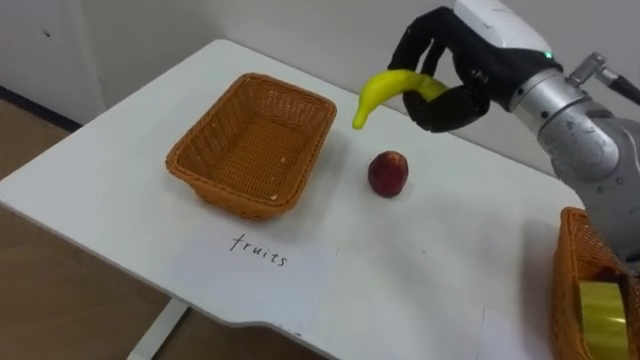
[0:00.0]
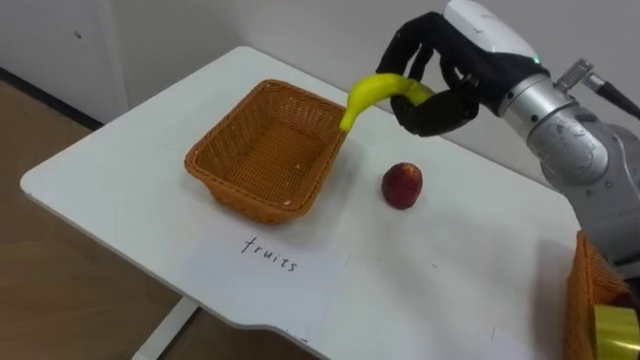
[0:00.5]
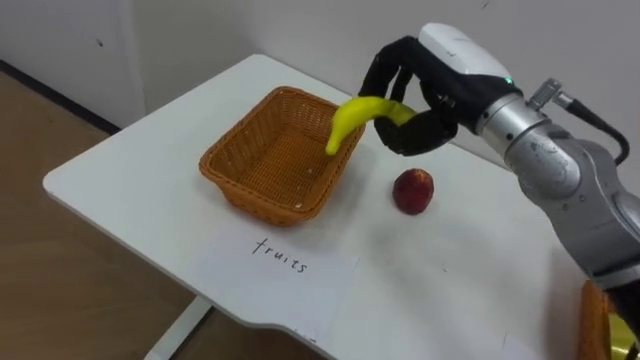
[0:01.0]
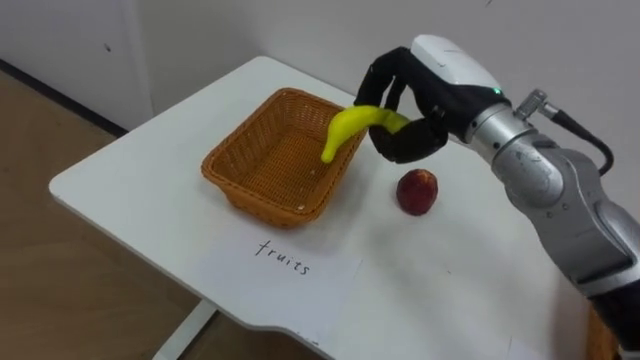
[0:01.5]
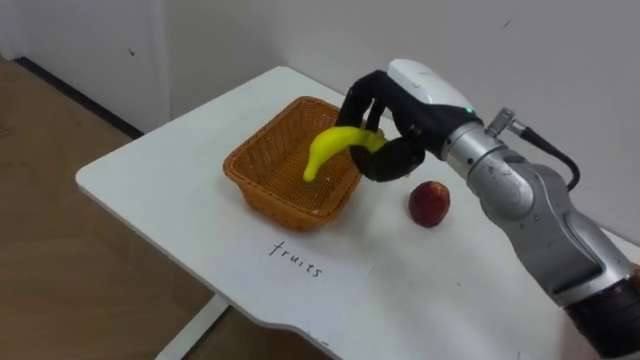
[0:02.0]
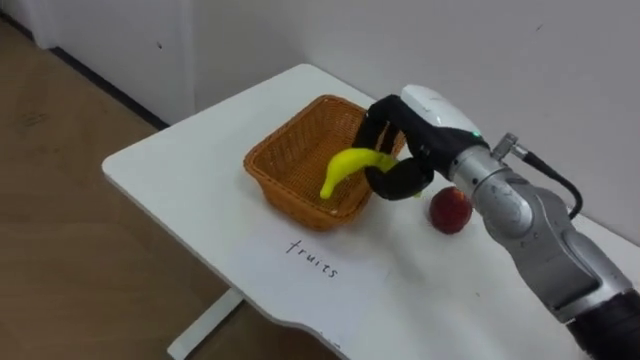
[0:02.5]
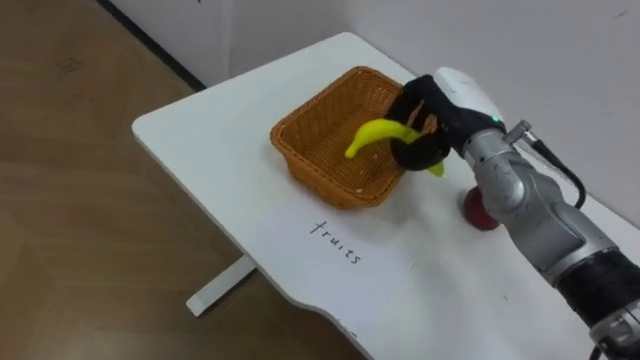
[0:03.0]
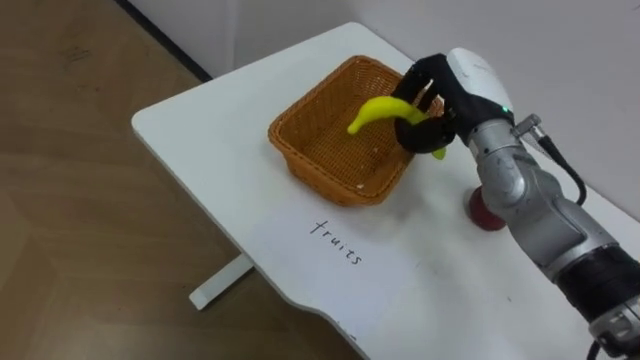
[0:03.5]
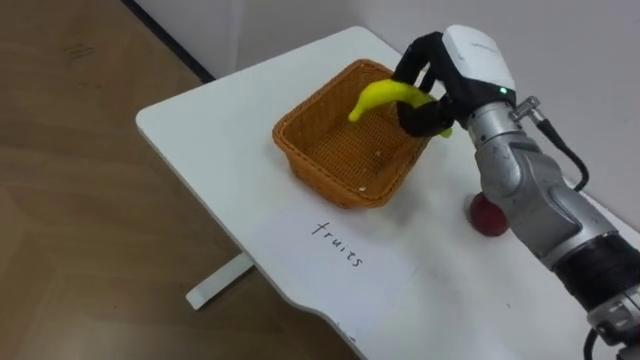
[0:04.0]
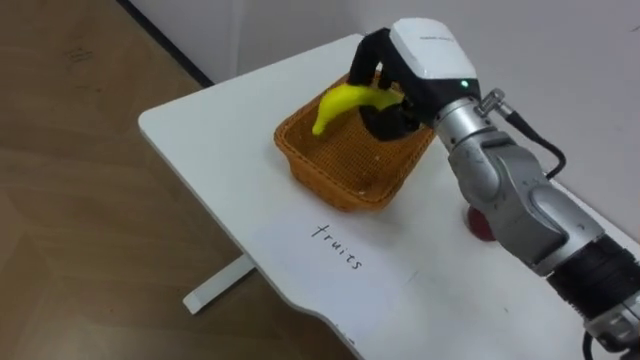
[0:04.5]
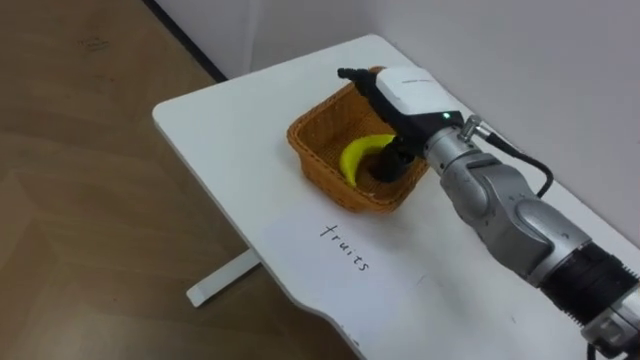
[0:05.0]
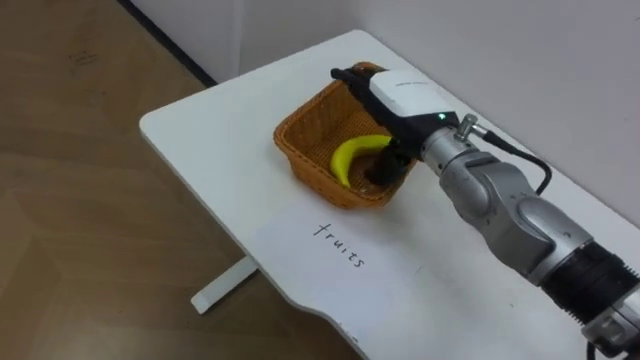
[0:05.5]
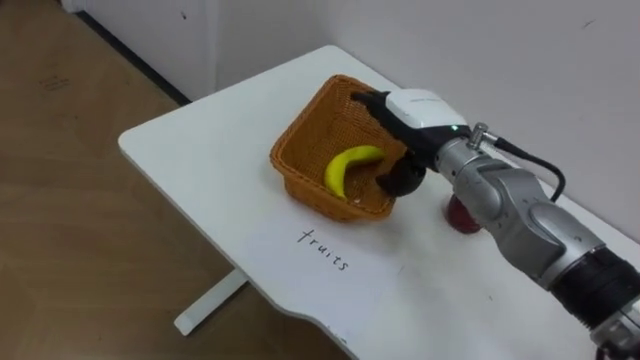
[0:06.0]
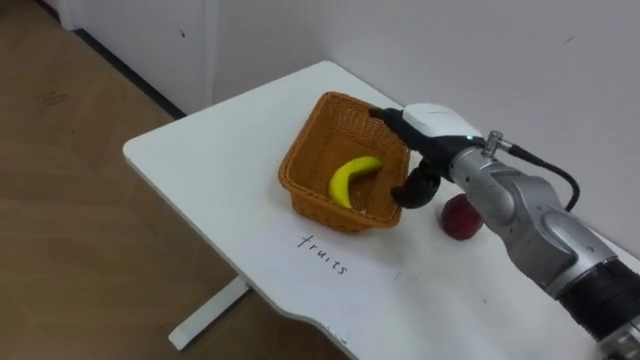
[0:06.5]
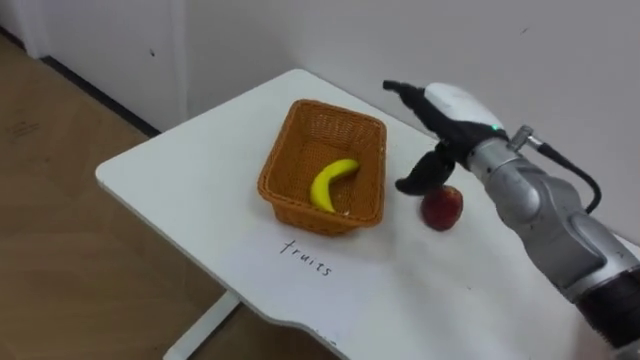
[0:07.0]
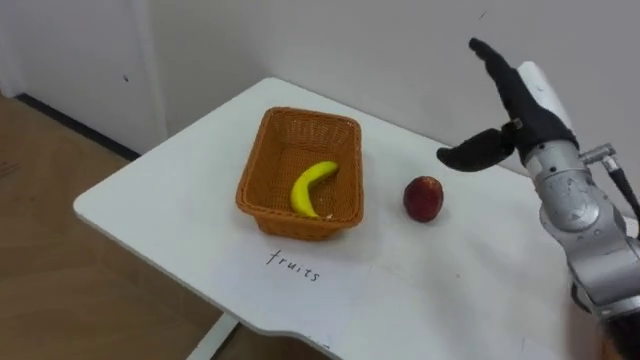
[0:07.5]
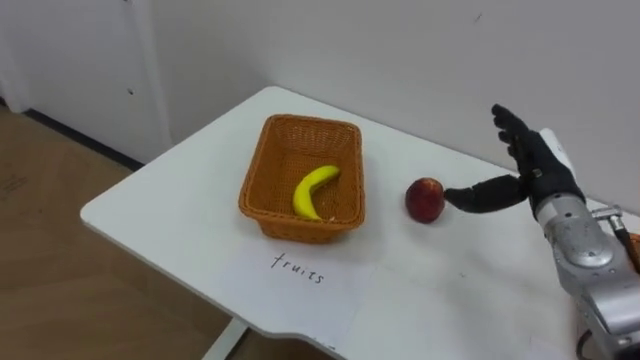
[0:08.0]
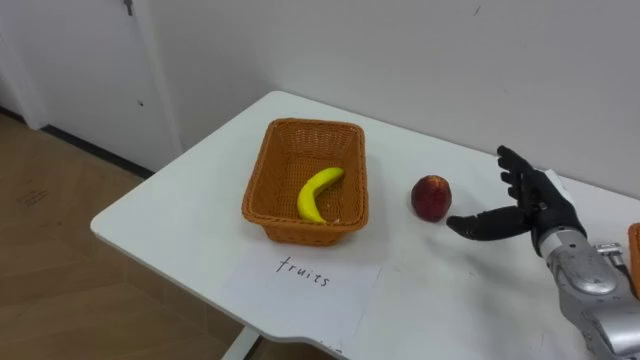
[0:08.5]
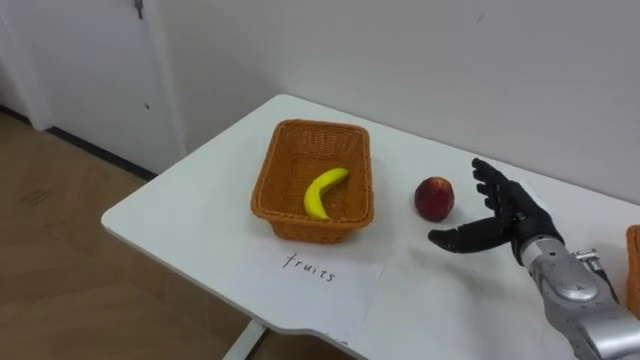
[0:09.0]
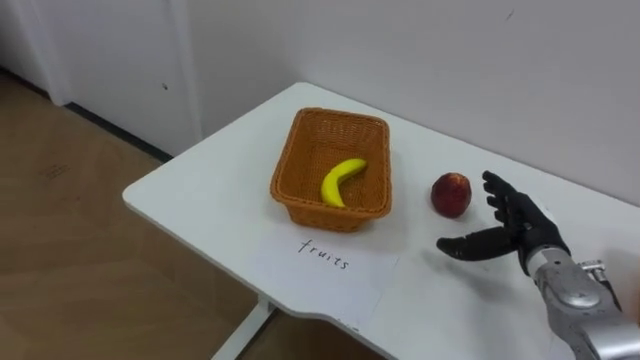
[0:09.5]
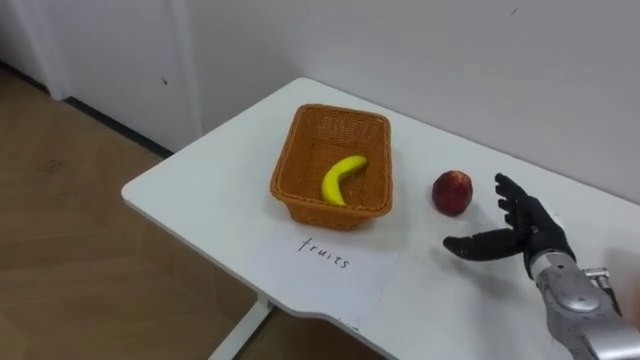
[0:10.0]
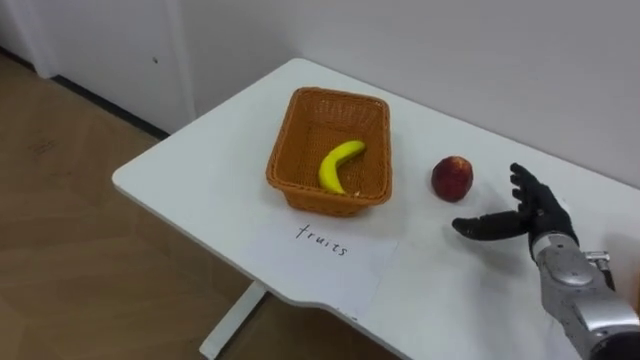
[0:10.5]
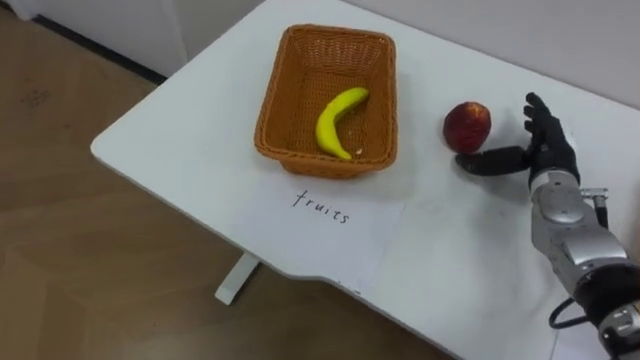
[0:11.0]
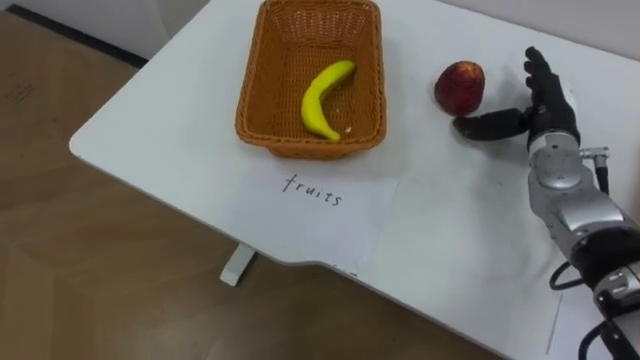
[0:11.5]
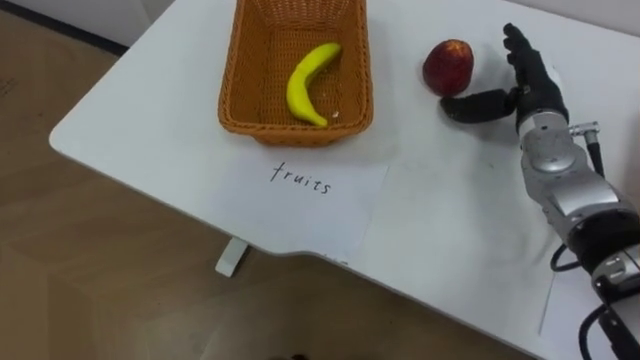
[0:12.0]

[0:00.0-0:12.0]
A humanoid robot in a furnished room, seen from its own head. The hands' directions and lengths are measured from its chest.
Task of the whole recording: Separate the items on the table and place them into the two baskets.
0:00.0 to 0:02.0: The right hand heads to the left and downward, covering roughly 10 cm.
0:02.0 to 0:04.0: The right hand travels to the right by about 5 cm.
0:04.0 to 0:06.0: The right hand goes approximately 5 cm downward, and opens.
0:06.0 to 0:08.0: The right hand moves to the right, roughly 15 cm.
0:08.0 to 0:10.0: The right hand travels downward by roughly 10 cm.
0:10.0 to 0:12.0: The right hand moves upward and forward, roughly 20 cm.

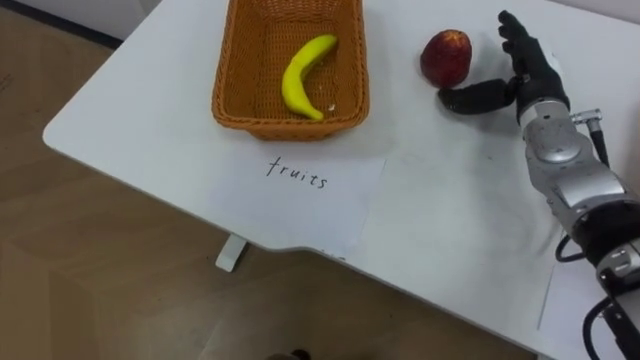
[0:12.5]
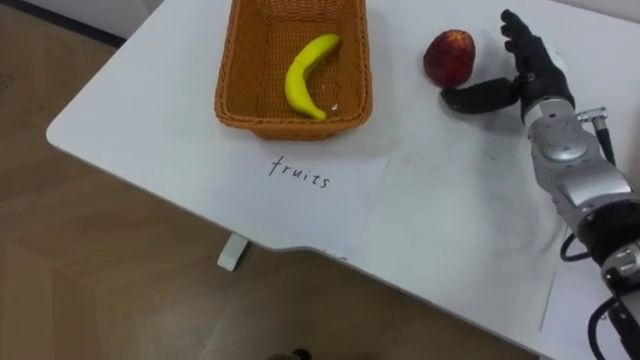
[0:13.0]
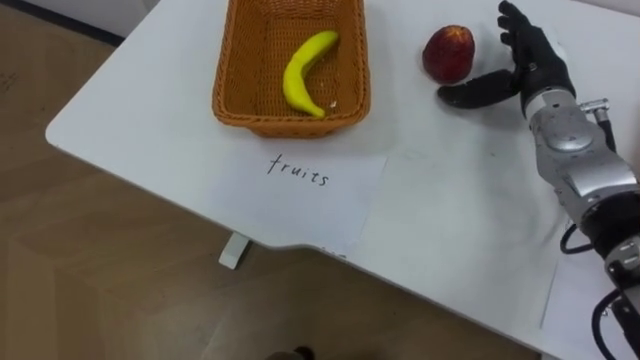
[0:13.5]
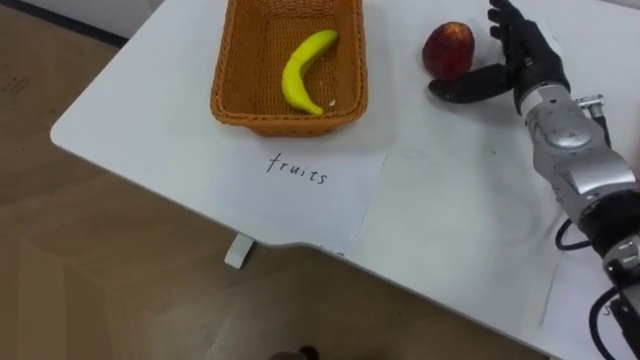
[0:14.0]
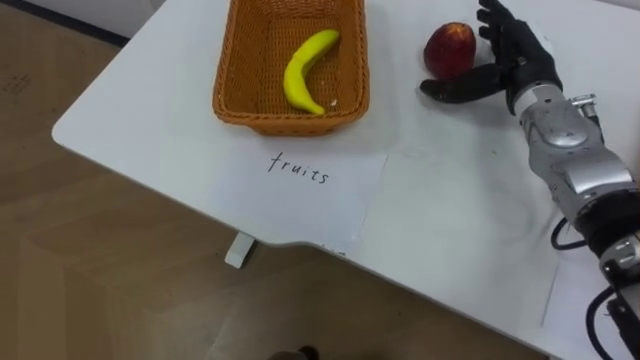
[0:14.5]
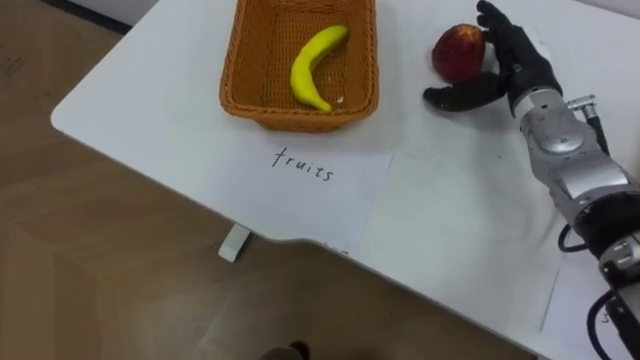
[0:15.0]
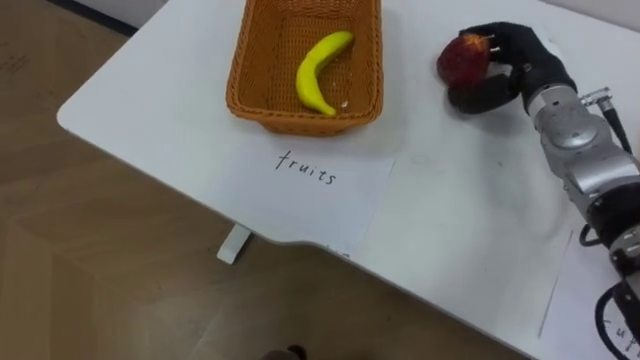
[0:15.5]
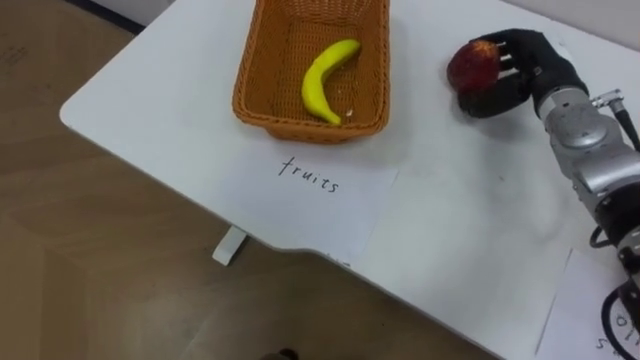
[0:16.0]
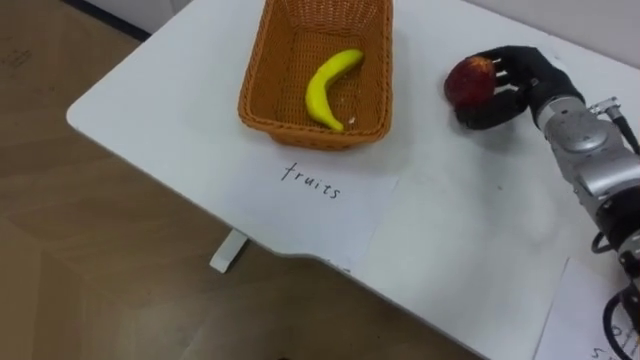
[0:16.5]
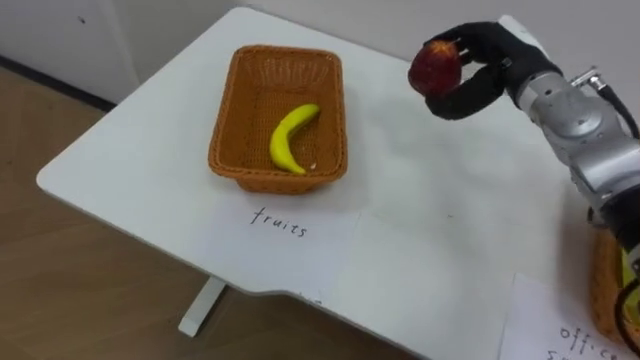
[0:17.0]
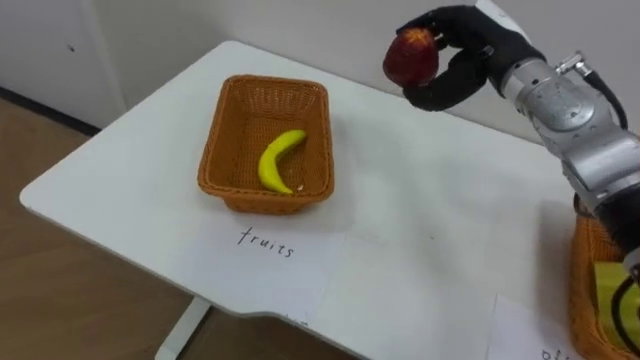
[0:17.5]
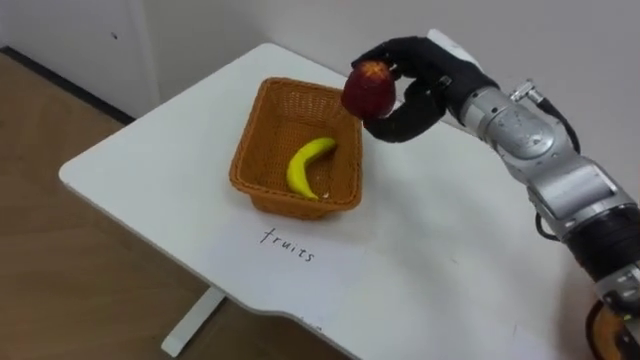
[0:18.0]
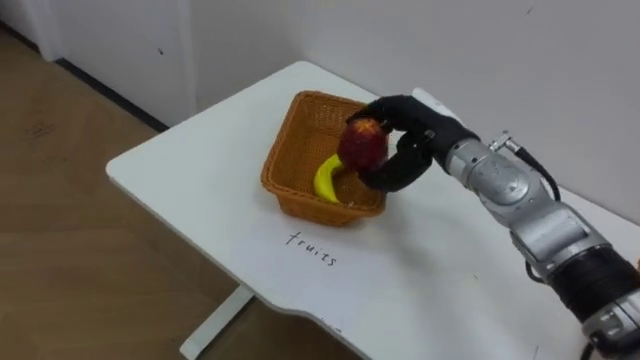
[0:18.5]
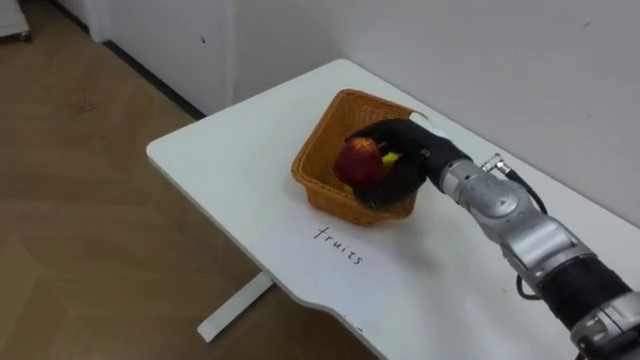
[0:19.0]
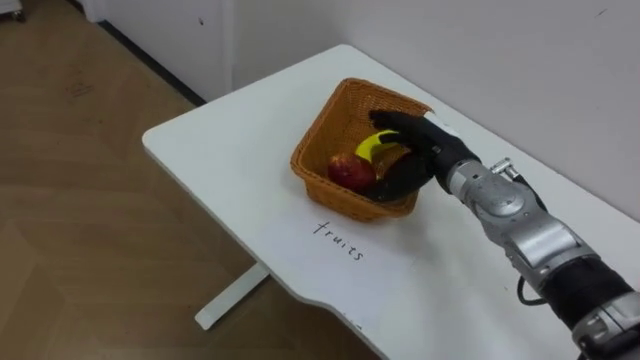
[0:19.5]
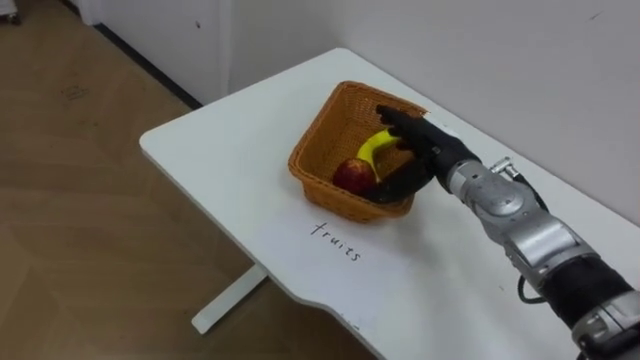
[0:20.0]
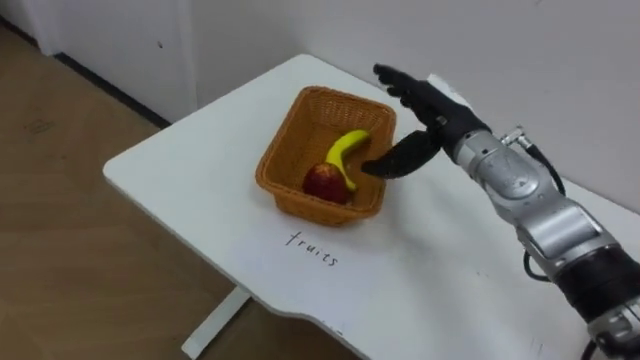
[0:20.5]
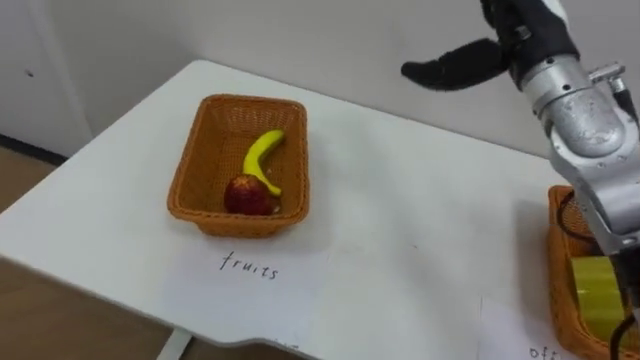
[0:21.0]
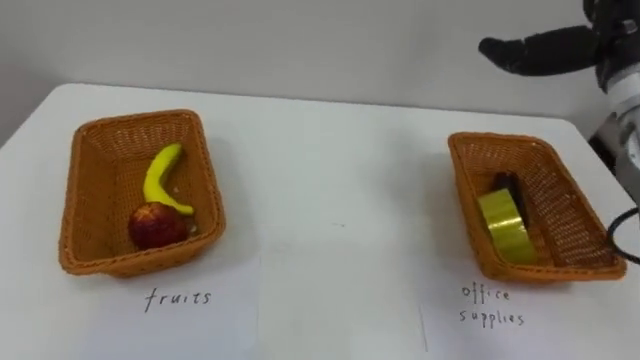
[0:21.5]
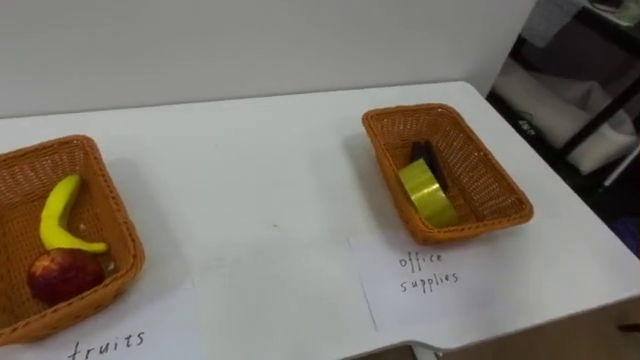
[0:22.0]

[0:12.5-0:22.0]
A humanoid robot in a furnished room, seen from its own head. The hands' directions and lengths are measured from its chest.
Task of the whole recording: Separate the items on the table and place them into the two baskets.
0:14.5 to 0:16.5: The right hand closes up.
0:16.5 to 0:18.0: The right hand is displaced to the left by roughly 15 cm.
0:18.0 to 0:20.0: The right hand moves downward, roughly 10 cm, and opens up.
